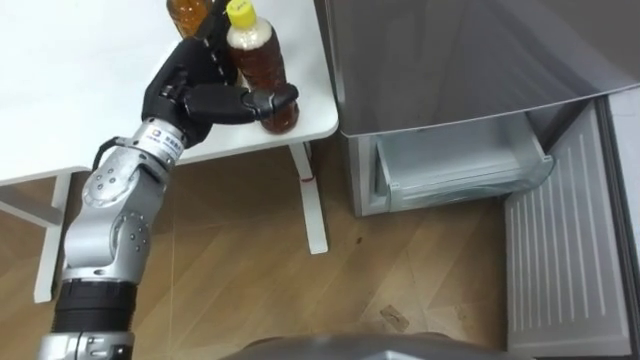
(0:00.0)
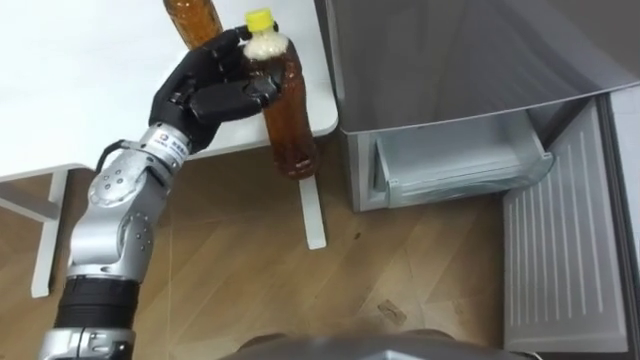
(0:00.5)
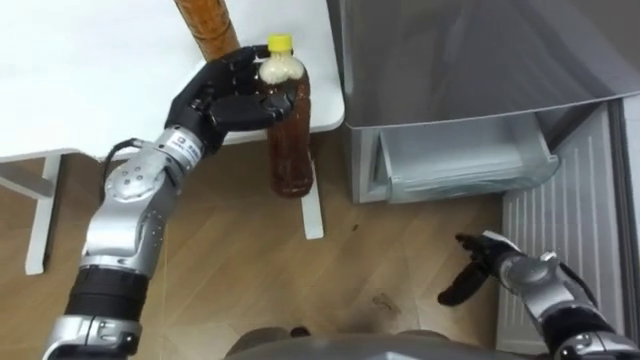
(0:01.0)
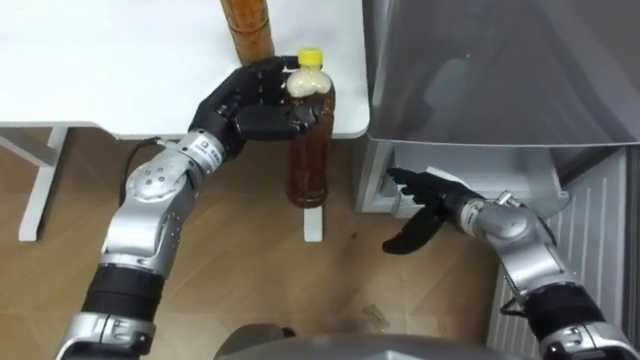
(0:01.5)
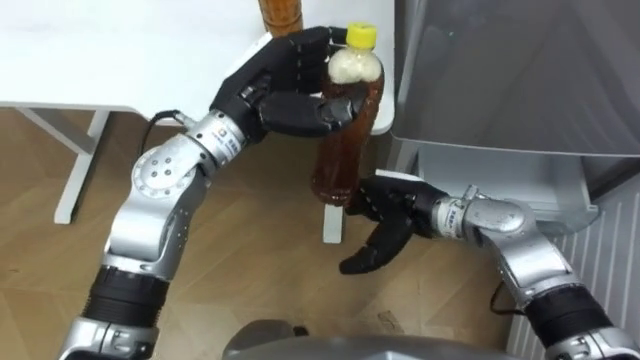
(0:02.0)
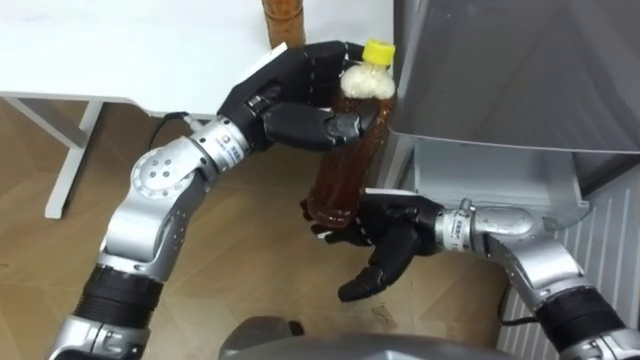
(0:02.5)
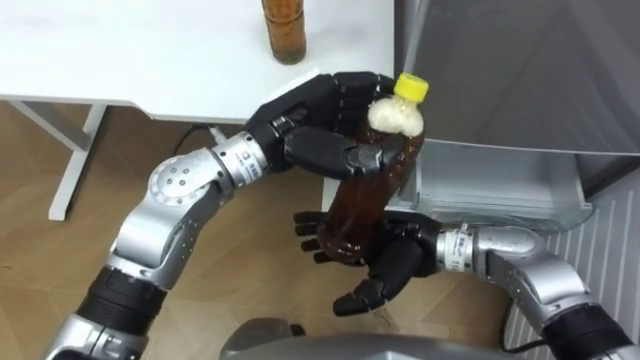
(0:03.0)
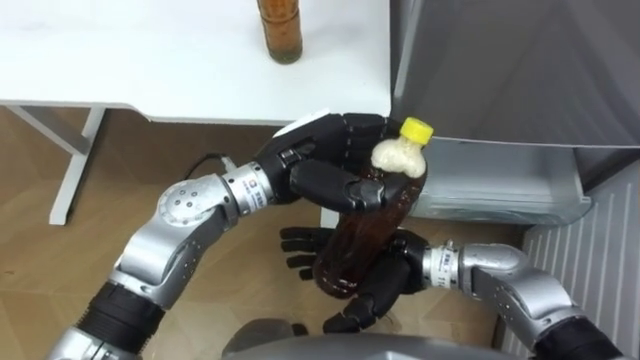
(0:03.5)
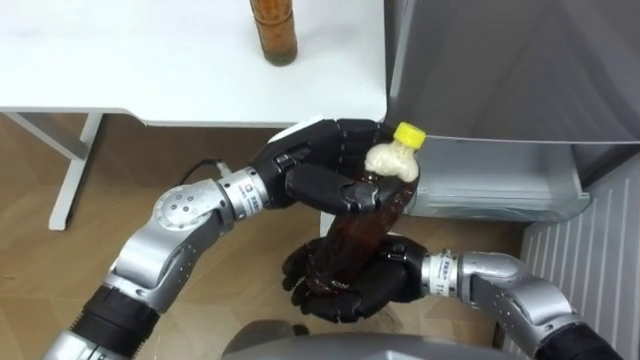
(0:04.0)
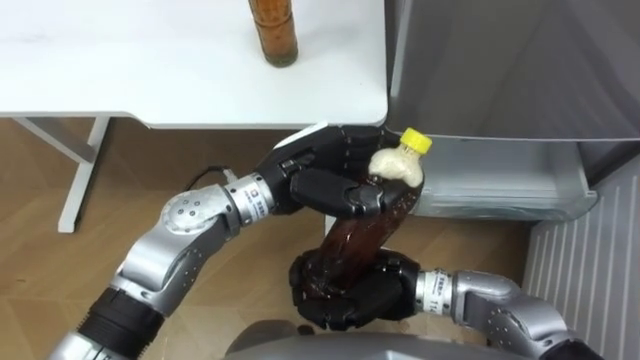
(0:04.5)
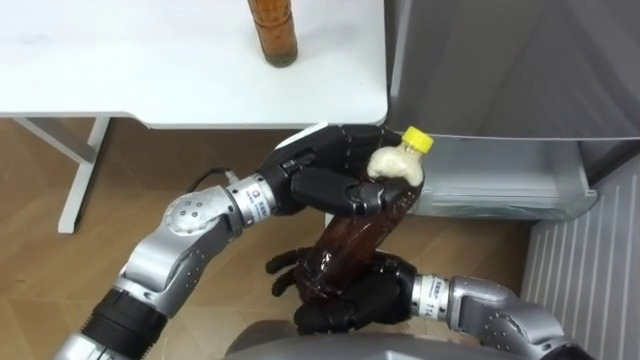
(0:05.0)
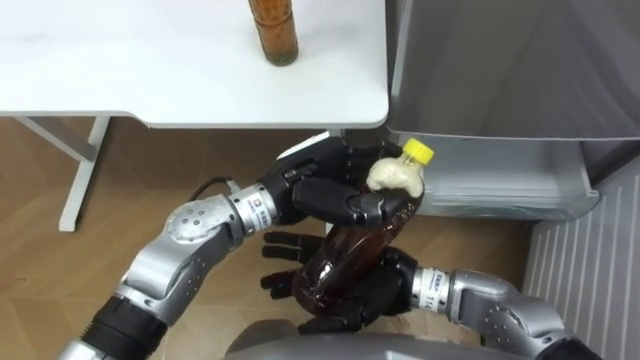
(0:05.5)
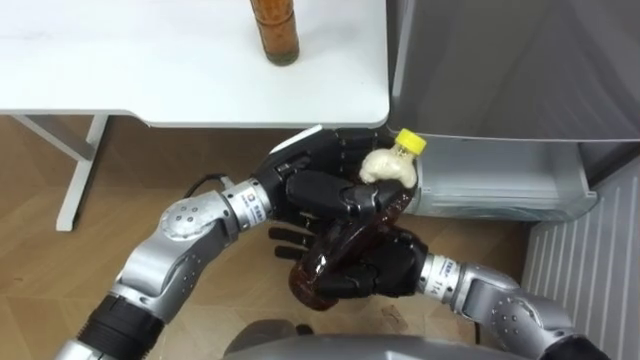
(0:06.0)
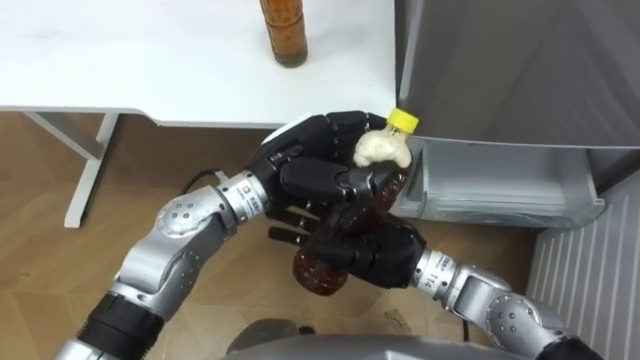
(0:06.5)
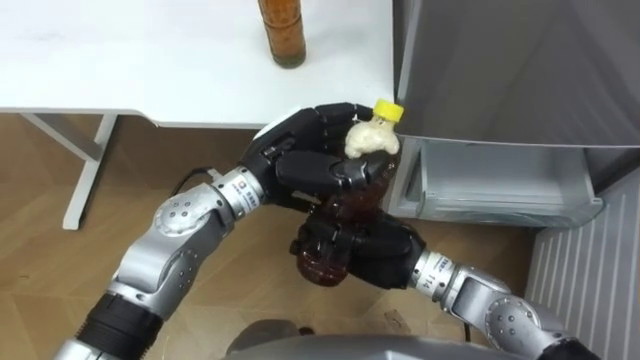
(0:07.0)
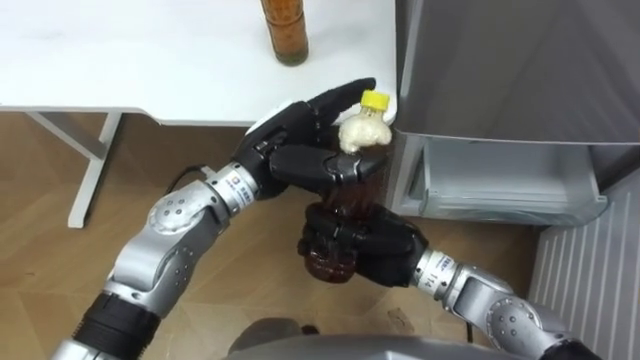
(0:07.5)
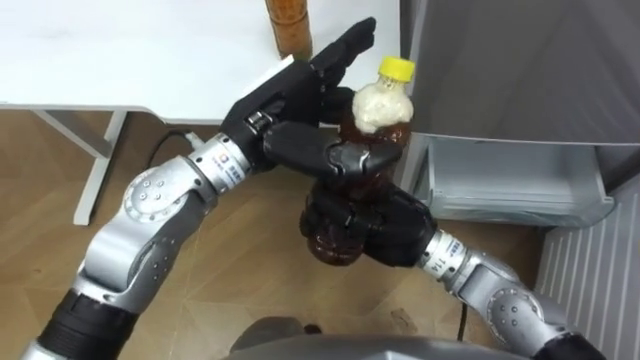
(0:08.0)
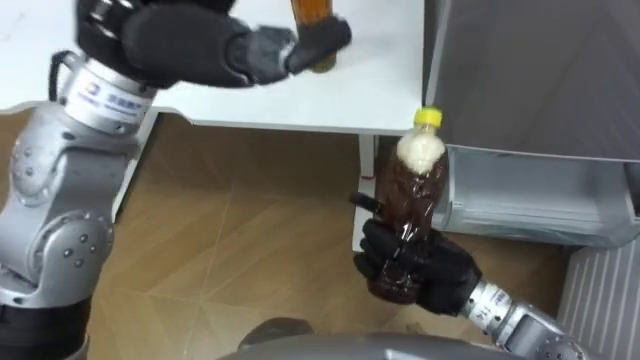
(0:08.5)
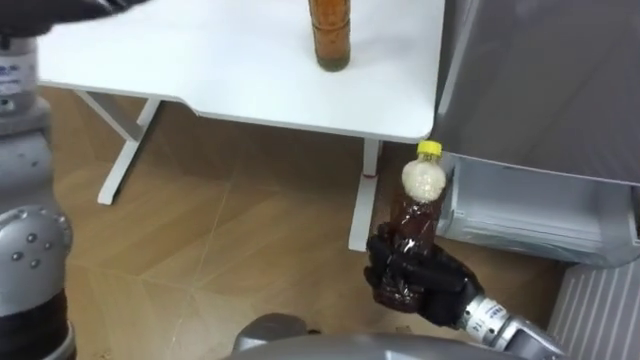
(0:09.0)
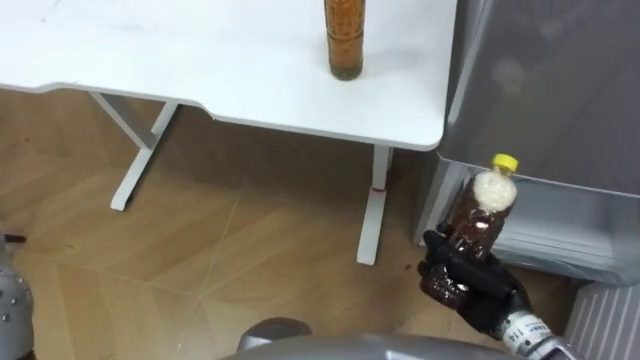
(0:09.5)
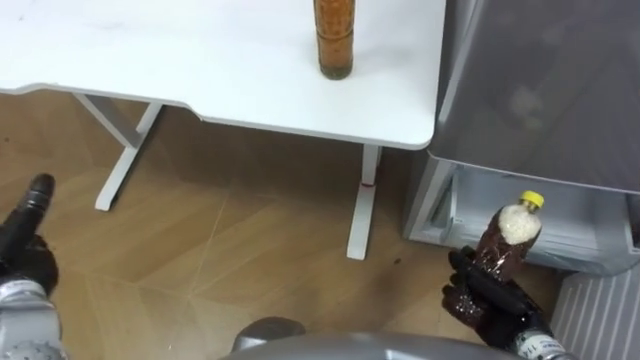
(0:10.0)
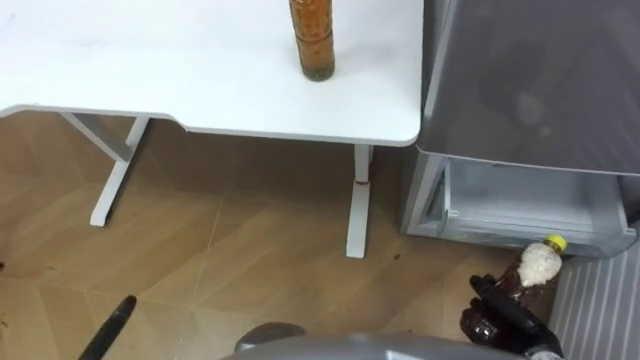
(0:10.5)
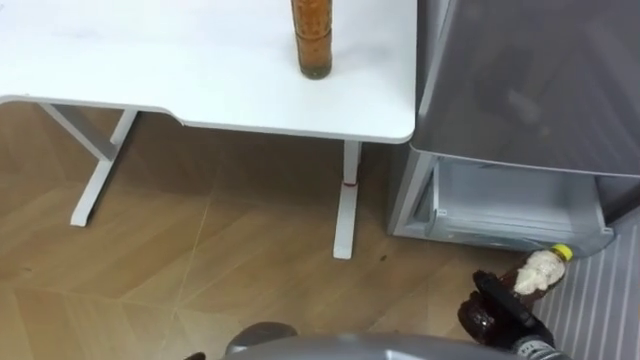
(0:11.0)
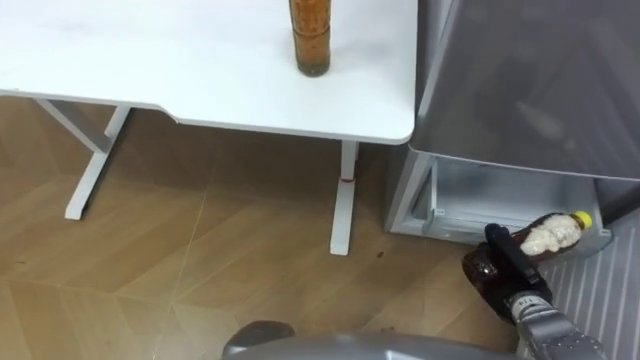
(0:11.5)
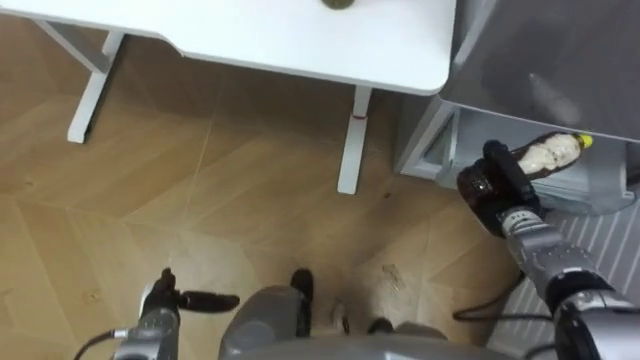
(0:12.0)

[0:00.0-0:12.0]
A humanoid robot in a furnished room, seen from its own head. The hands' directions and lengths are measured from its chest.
Task of the whole recording: Place the drink on the table on the bottom shelf of the refrigerator, then close the drawer and the refrigerator door.
0:00.0 to 0:02.0: The left hand moves to the right, roughly 10 cm, and closes its fingers.
0:02.0 to 0:04.0: Both hands travel together backward, some 5 cm. The right hand closes its fingers.
0:04.0 to 0:06.0: The right hand opens its fingers.
0:06.0 to 0:08.0: The left hand goes some 10 cm upward, and opens up, while the right hand closes up.
0:08.0 to 0:10.0: The right hand is displaced to the right, downward and backward by some 25 cm.
0:10.0 to 0:12.0: The right hand travels forward by roughly 15 cm.

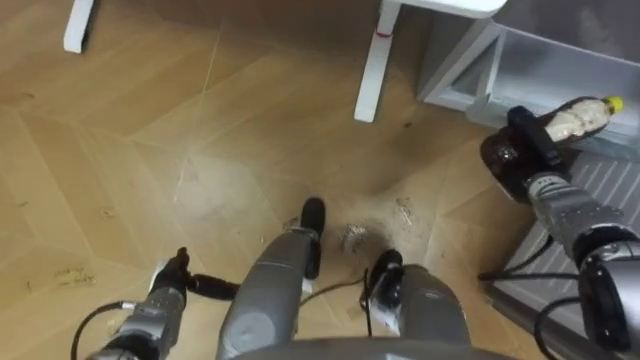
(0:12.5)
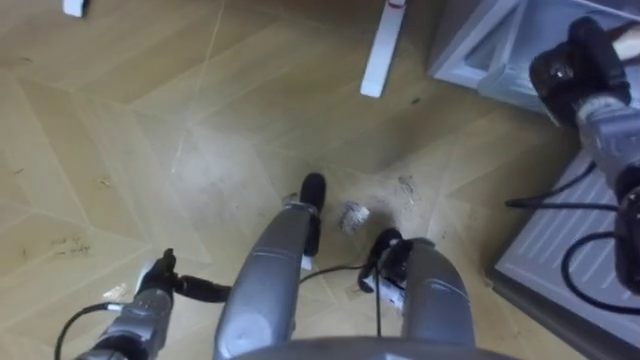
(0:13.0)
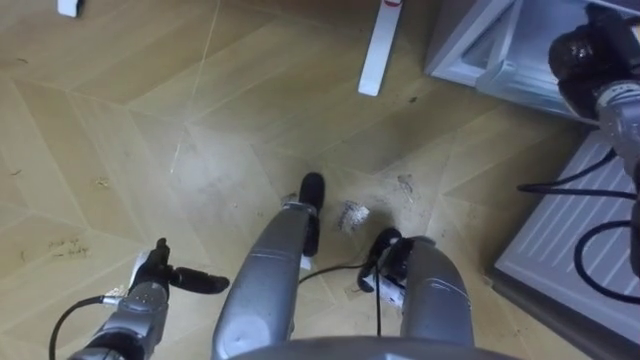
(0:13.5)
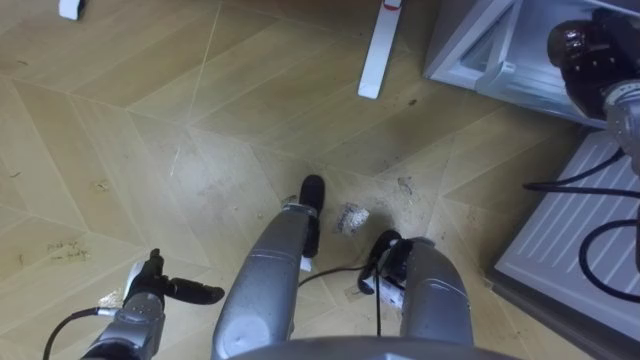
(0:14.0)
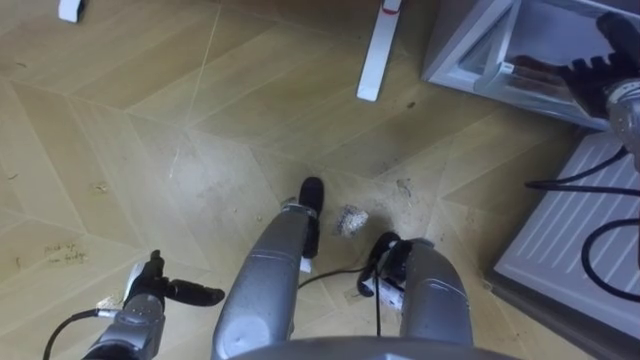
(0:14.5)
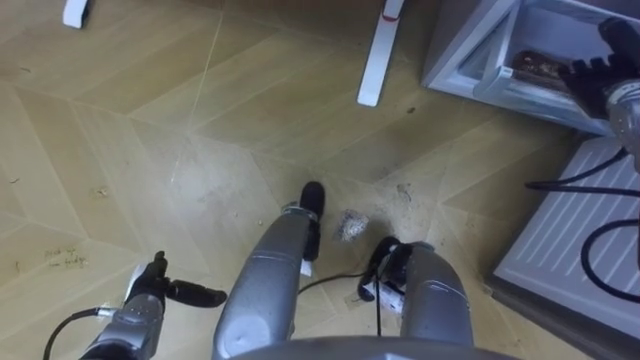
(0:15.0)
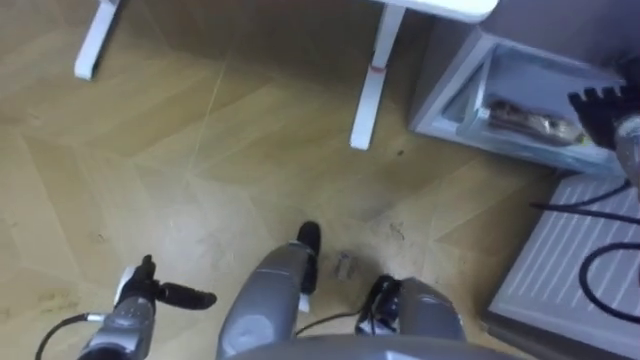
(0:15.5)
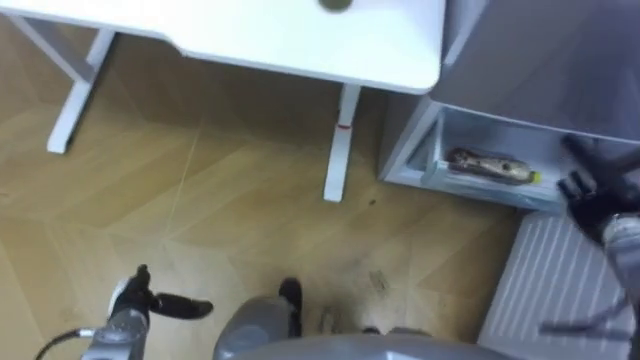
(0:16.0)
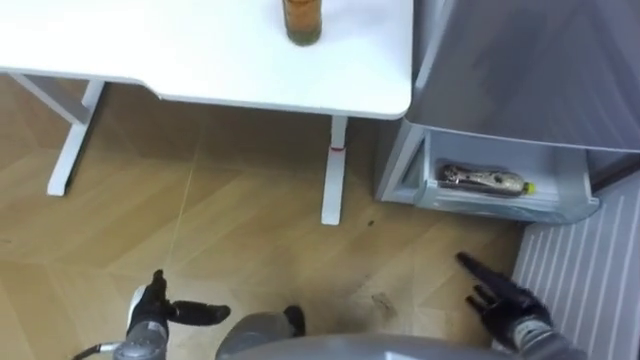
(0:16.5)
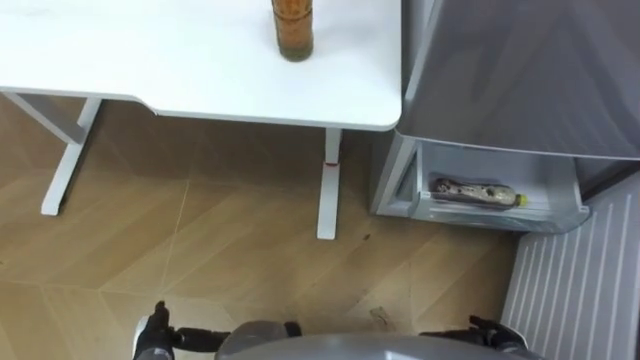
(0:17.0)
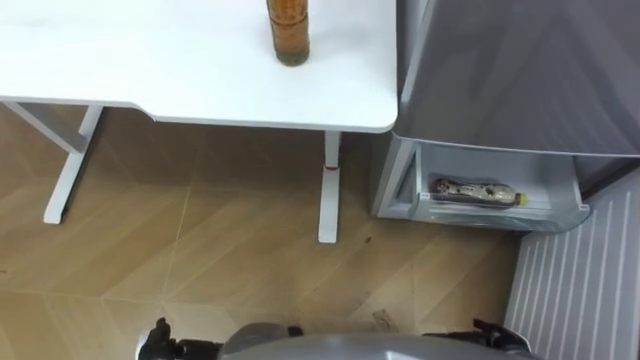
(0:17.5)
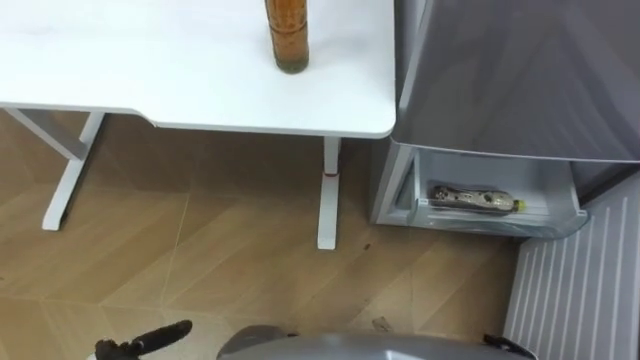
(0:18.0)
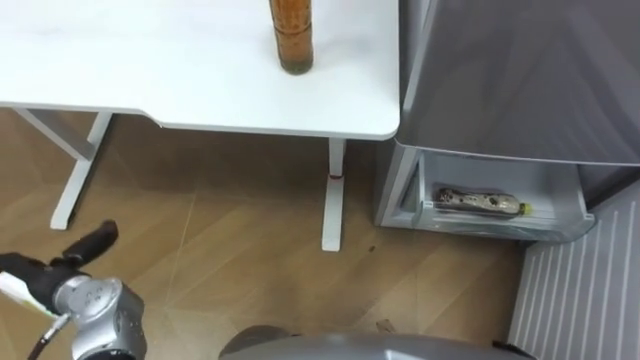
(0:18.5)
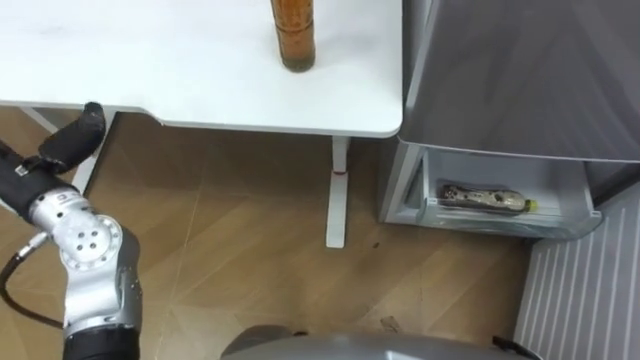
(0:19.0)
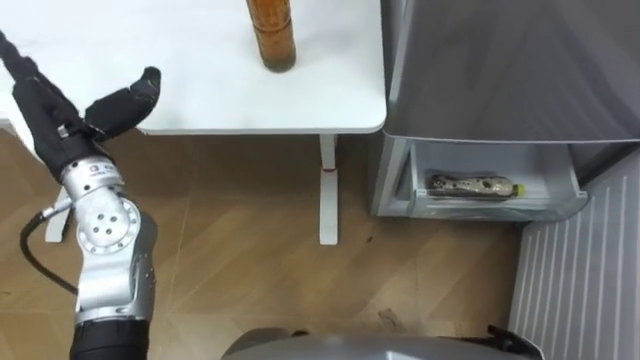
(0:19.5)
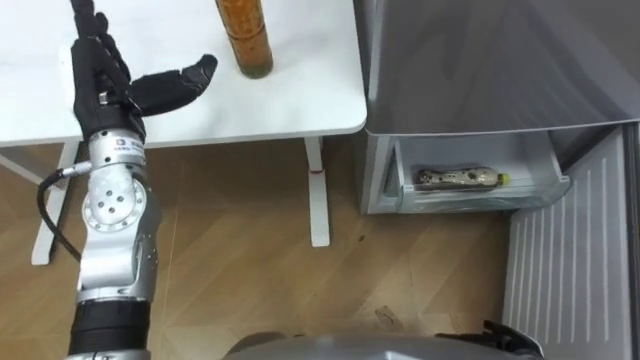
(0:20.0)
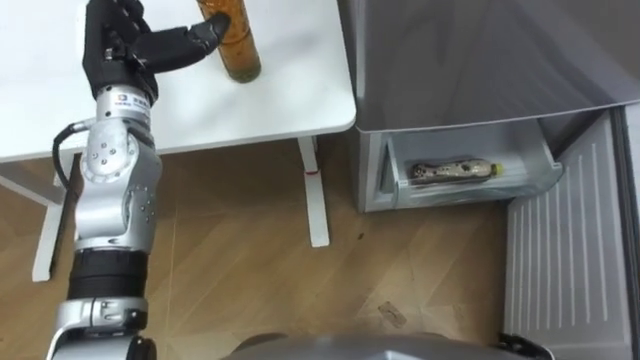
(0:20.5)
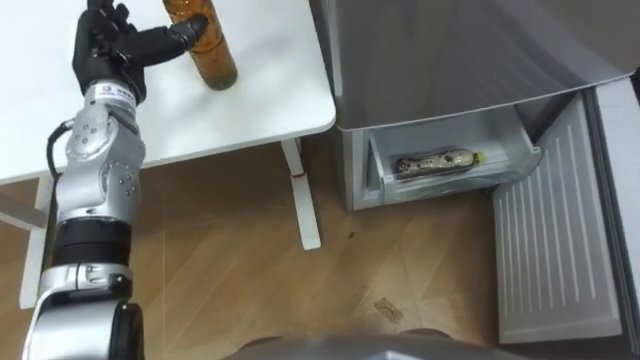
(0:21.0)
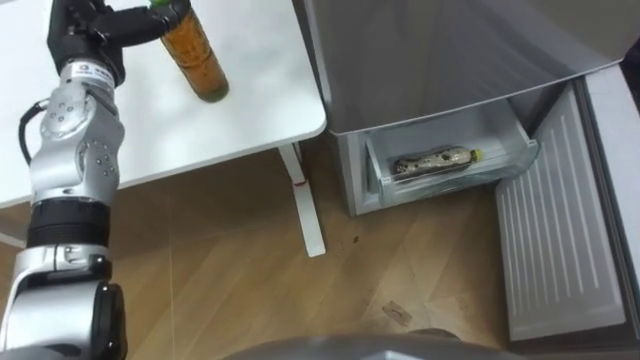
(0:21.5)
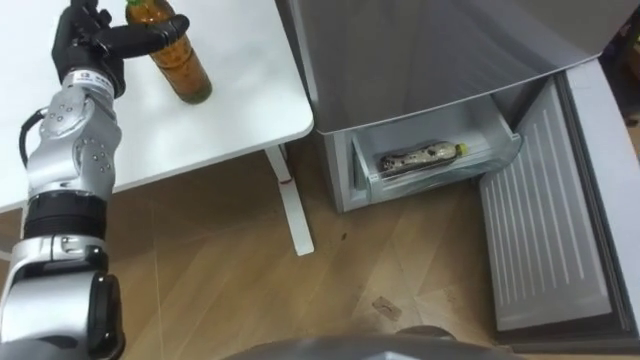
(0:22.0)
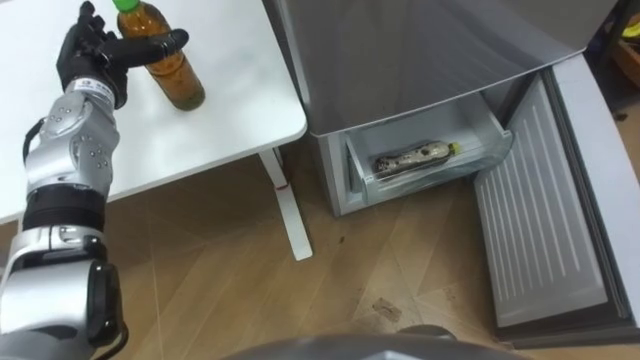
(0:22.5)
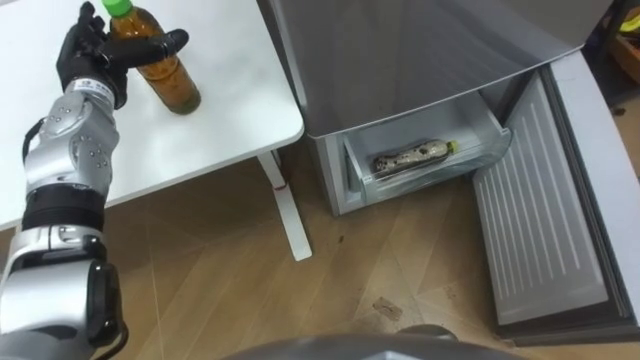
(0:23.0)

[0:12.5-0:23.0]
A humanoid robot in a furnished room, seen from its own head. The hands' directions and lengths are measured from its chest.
Task of the whole recording: Place the drink on the table on the bottom shelf of the refrigerator, then close the drawer and the refrigerator door.
0:12.5 to 0:14.5: The right hand heads upward, forward and to the right, covering roughly 15 cm, and opens up.
0:14.5 to 0:16.5: The right hand moves backward and downward, some 35 cm.
0:19.0 to 0:21.0: The left hand travels forward and to the right by about 15 cm.
